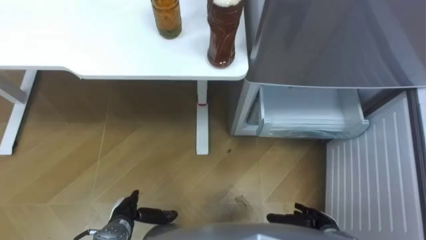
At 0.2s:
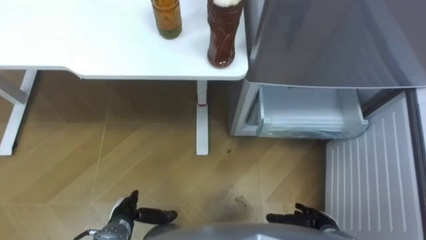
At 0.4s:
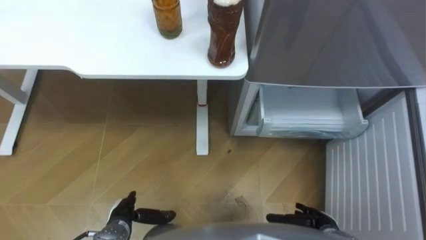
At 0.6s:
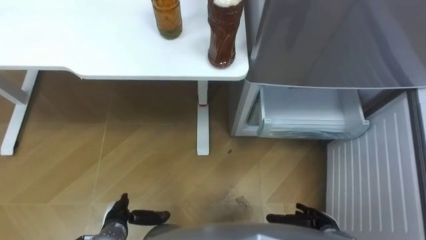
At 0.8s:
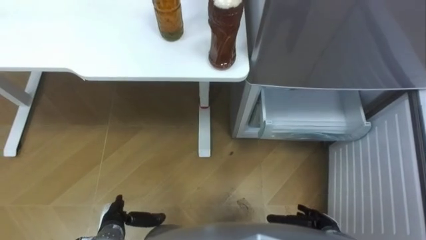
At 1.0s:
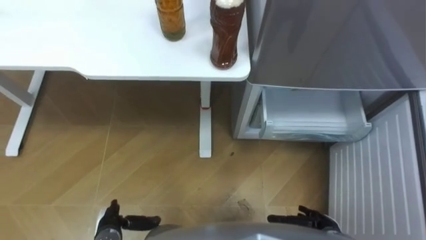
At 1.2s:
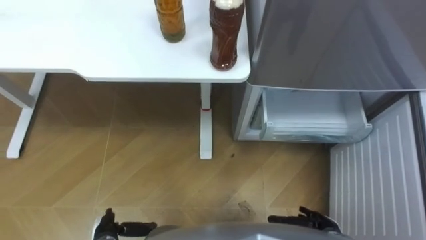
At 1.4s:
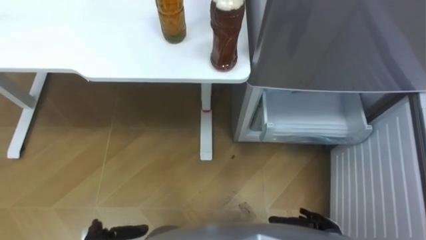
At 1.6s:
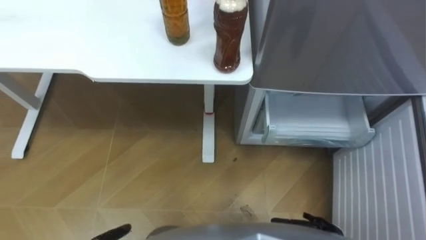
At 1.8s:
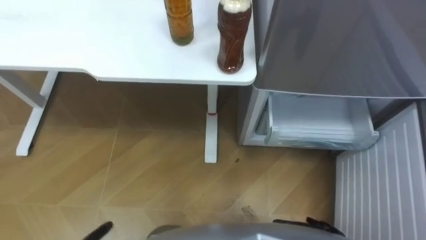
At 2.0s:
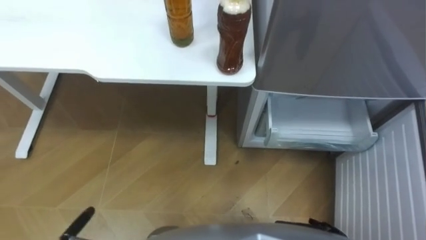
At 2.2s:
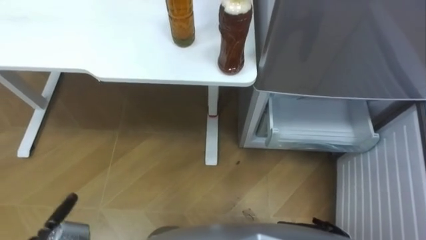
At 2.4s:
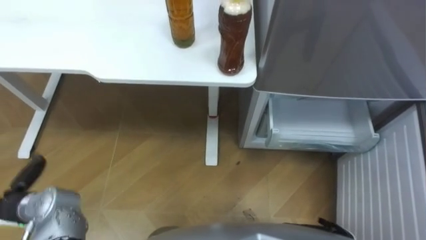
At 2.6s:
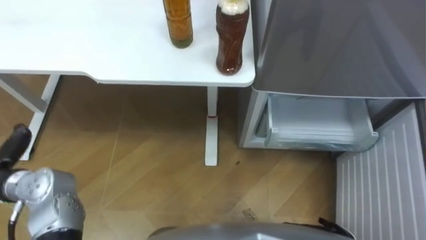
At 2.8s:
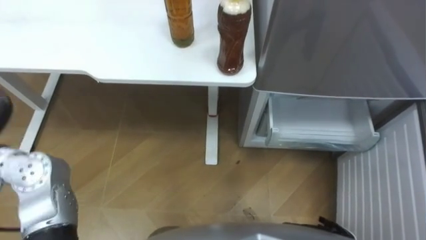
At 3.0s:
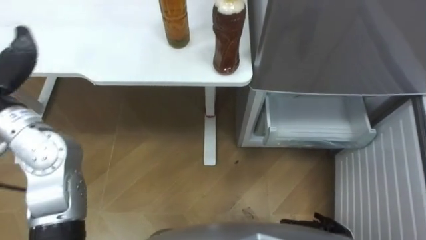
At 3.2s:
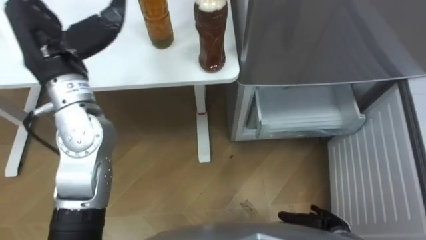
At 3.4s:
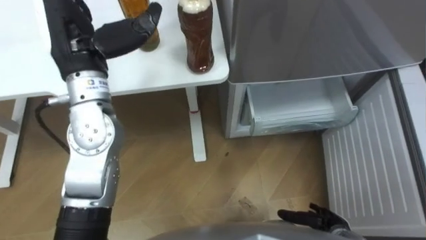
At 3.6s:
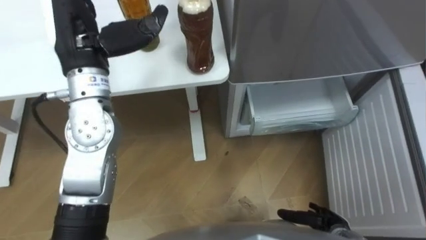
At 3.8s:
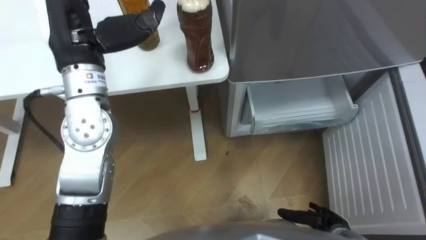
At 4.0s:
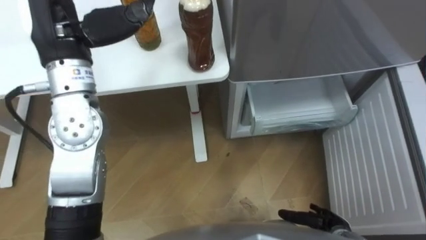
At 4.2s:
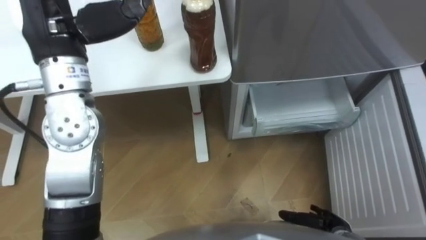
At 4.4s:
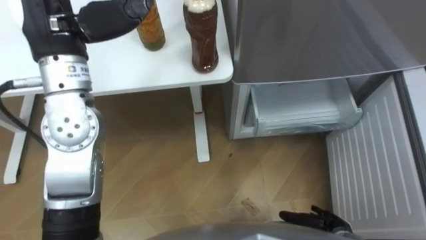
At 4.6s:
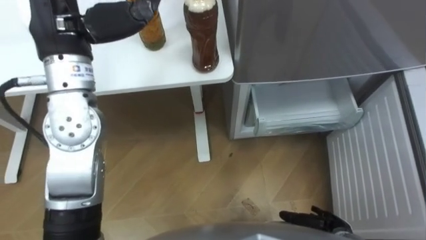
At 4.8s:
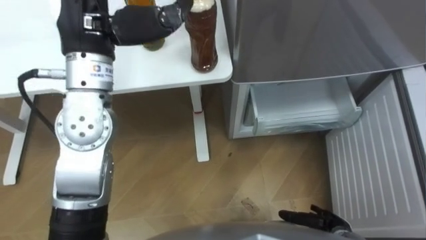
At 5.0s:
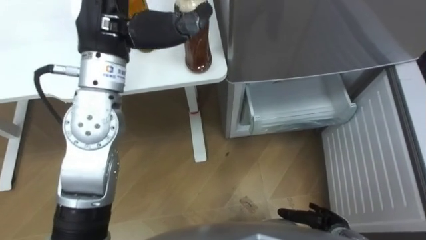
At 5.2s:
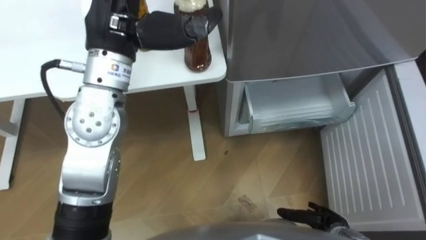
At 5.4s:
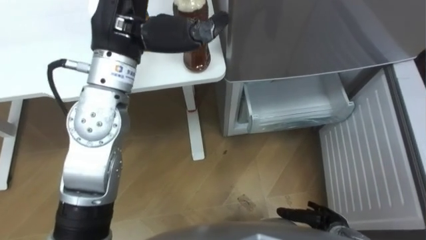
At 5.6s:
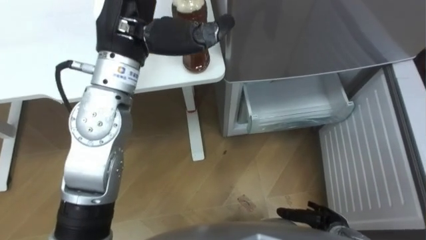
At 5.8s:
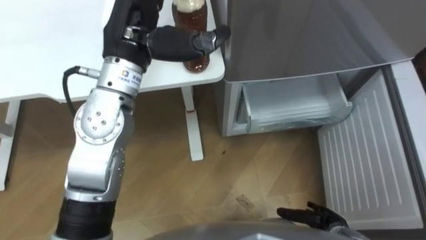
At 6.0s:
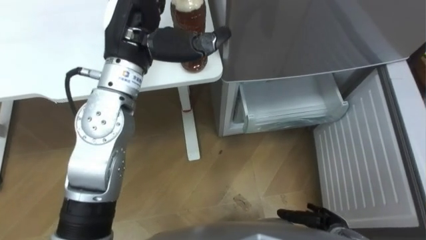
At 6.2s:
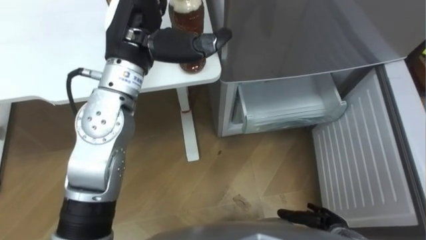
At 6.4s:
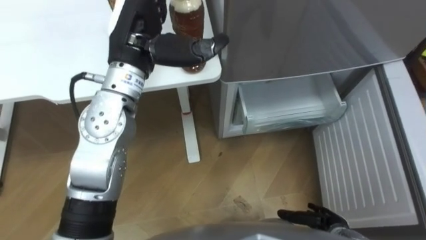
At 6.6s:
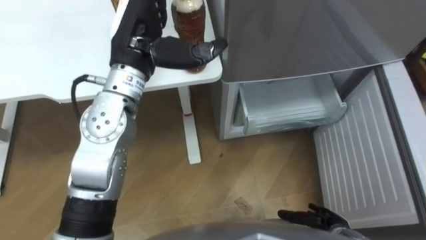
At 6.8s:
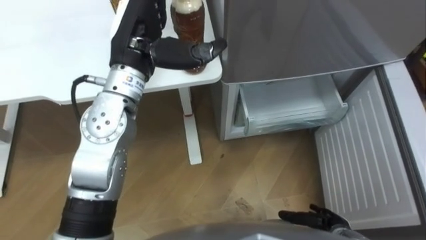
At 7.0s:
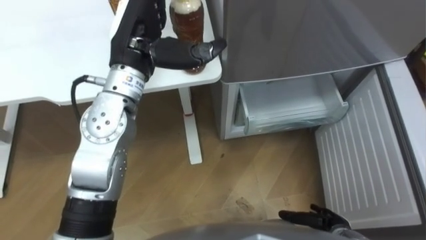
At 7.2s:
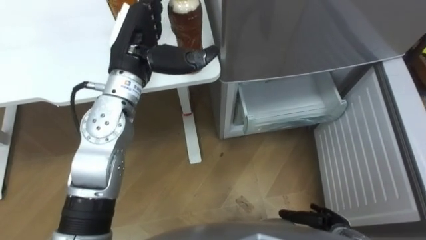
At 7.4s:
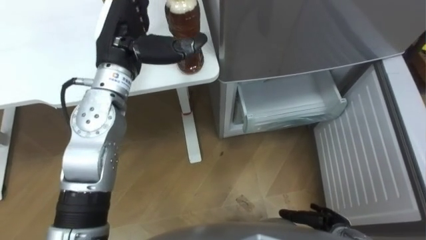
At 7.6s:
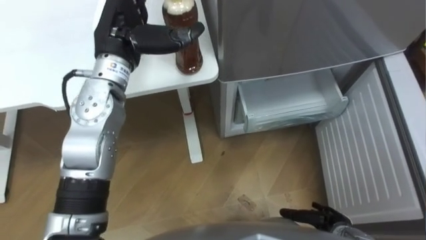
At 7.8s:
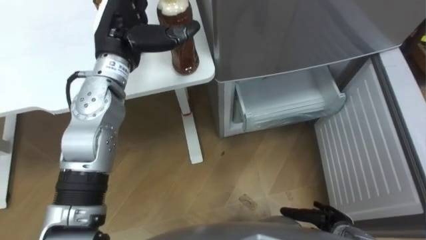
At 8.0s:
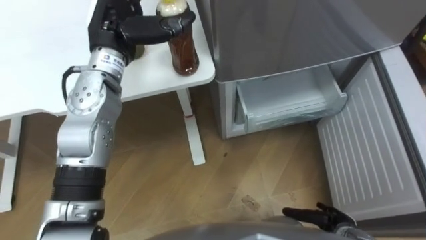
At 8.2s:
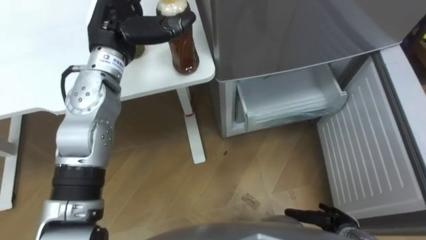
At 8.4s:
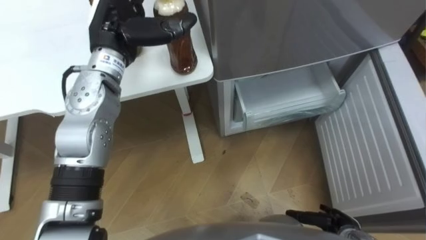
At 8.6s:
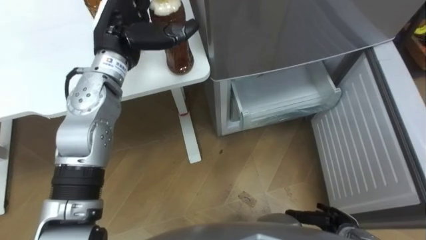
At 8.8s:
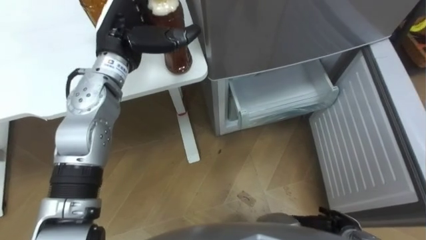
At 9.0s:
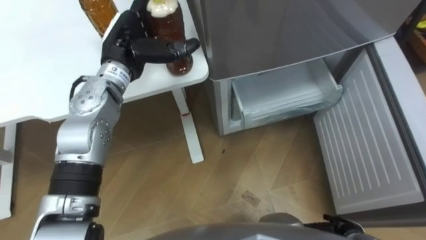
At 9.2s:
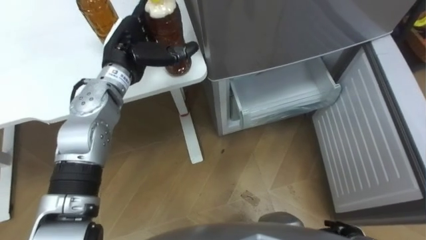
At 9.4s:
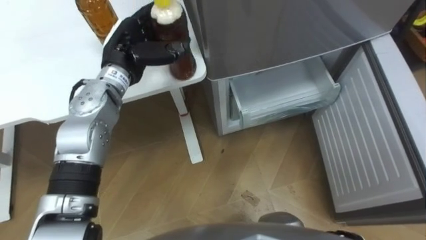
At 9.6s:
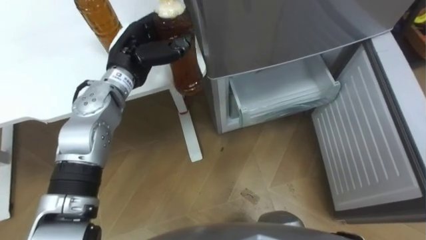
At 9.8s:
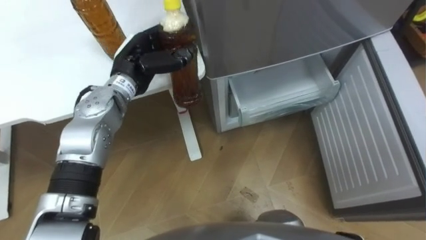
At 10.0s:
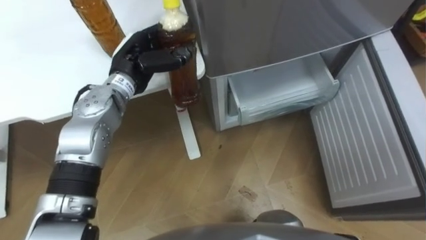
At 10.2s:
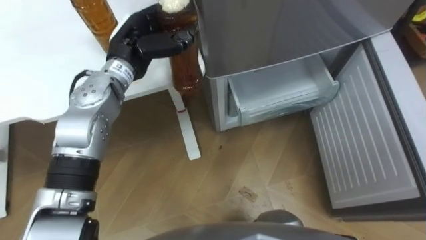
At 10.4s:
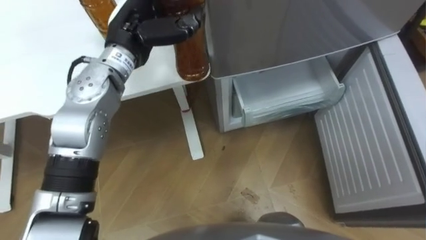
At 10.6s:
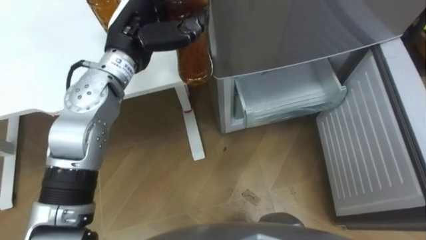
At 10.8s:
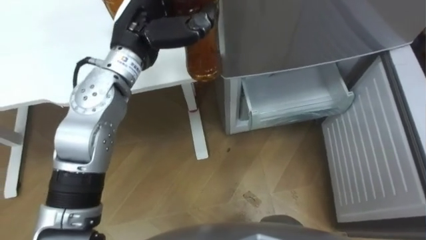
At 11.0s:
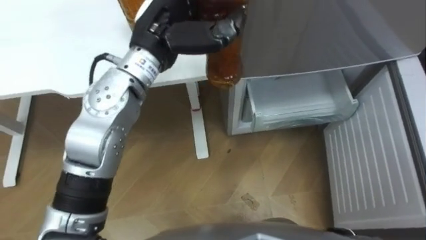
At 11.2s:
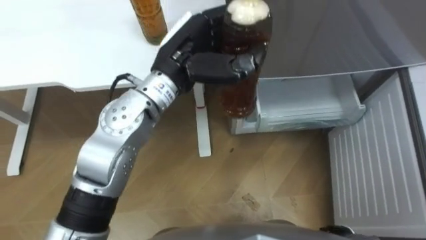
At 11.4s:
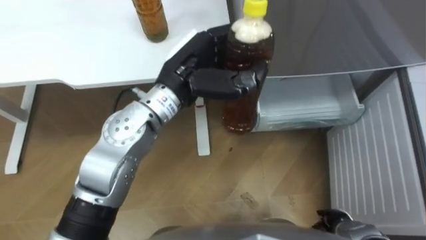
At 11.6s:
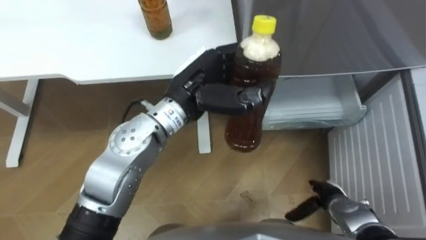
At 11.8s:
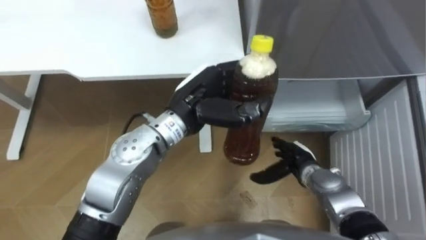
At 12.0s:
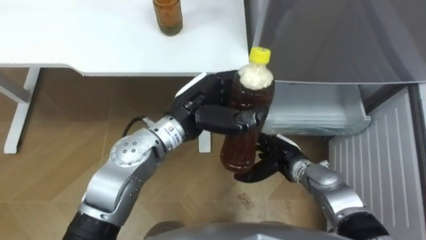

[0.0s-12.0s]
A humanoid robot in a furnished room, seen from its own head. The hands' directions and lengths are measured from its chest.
Task of the whole recording: Place the drink on the table on the bottom shelf of the refrigerator, then close the drawer and the refrigerator door.
4.4s to 6.0s: The left hand travels to the right by some 10 cm.
6.0s to 7.6s: The left hand shifts by approximately 5 cm.
7.6s to 9.0s: The left hand is displaced downward by some 5 cm.
9.0s to 10.4s: The left hand closes.
10.4s to 12.0s: The left hand shifts approximately 15 cm backward, to the right and downward.

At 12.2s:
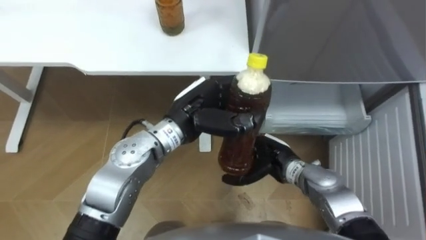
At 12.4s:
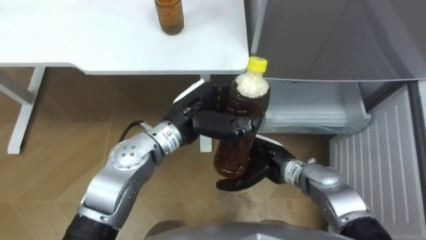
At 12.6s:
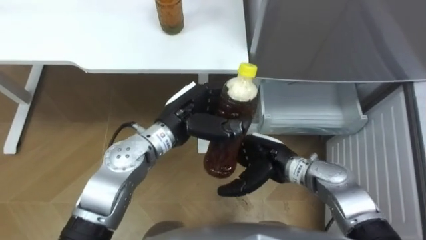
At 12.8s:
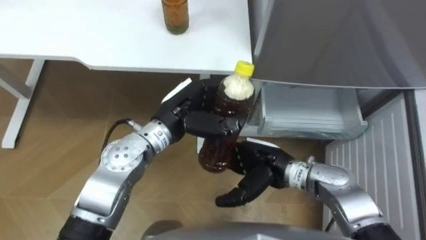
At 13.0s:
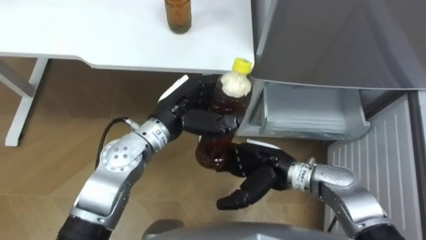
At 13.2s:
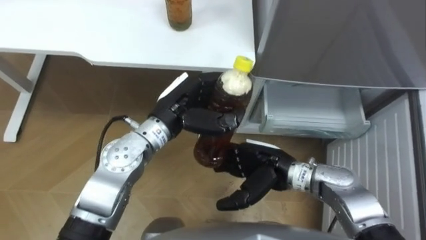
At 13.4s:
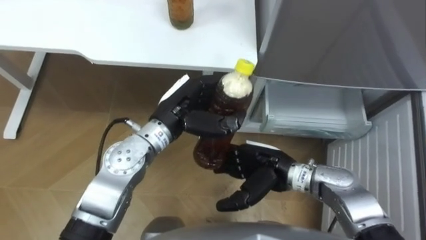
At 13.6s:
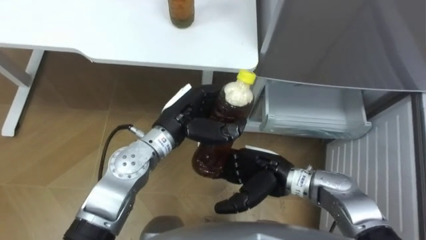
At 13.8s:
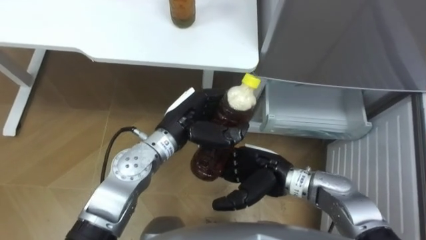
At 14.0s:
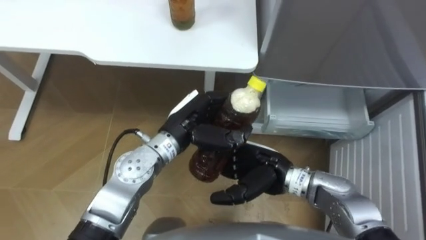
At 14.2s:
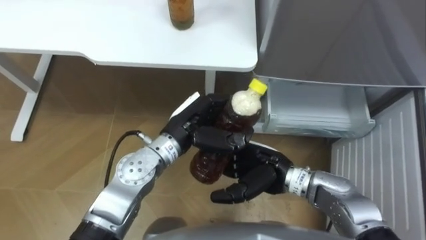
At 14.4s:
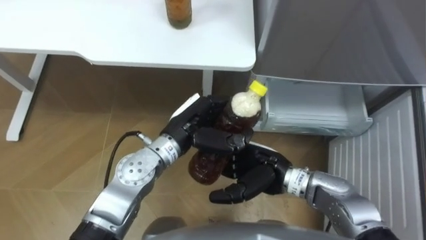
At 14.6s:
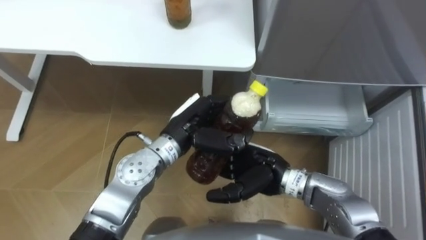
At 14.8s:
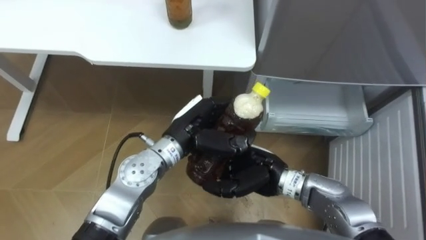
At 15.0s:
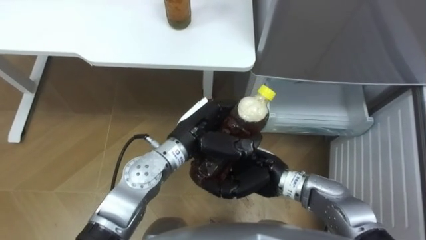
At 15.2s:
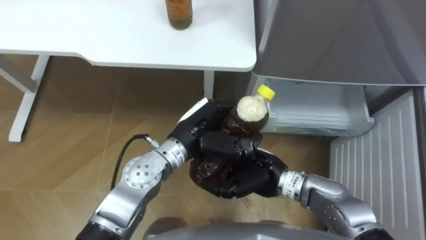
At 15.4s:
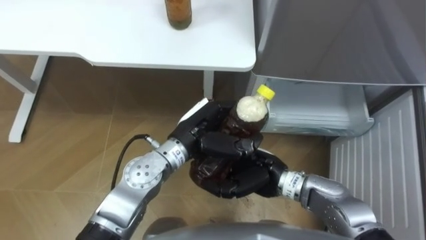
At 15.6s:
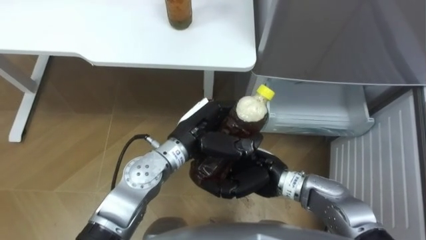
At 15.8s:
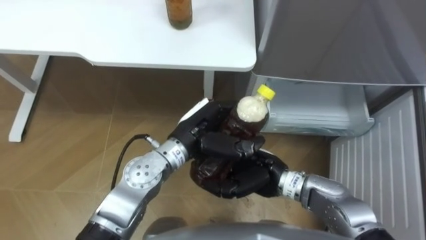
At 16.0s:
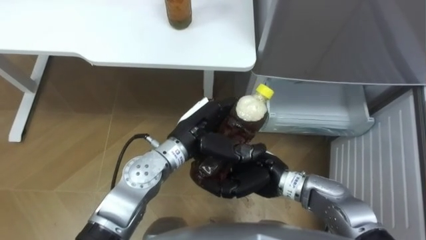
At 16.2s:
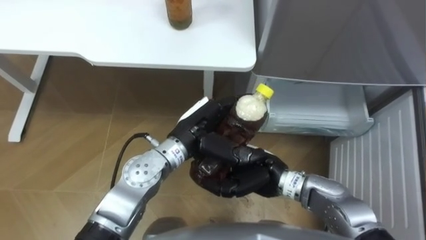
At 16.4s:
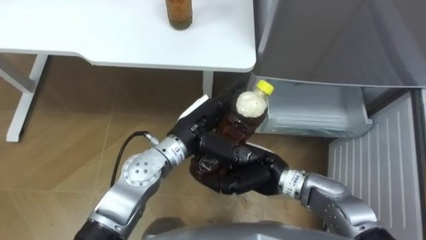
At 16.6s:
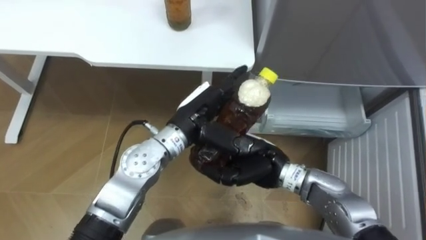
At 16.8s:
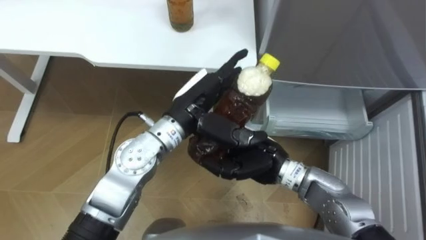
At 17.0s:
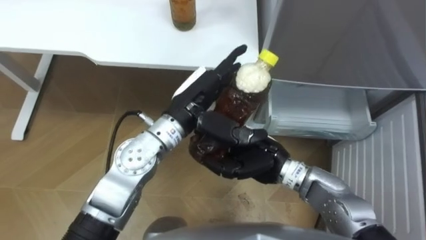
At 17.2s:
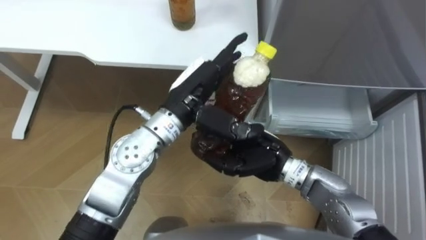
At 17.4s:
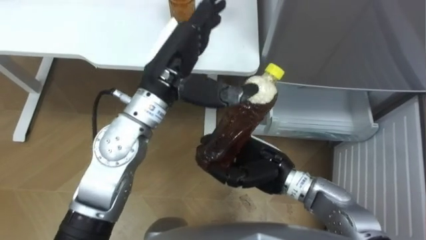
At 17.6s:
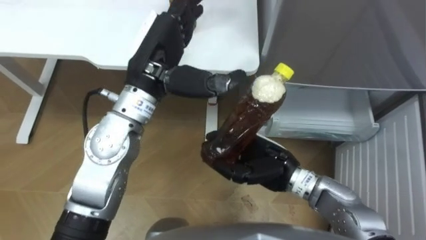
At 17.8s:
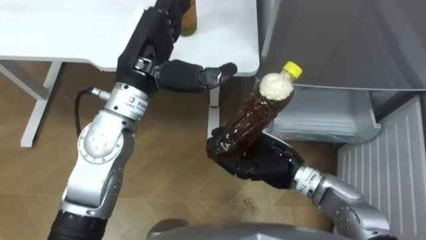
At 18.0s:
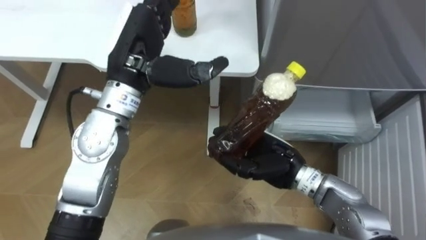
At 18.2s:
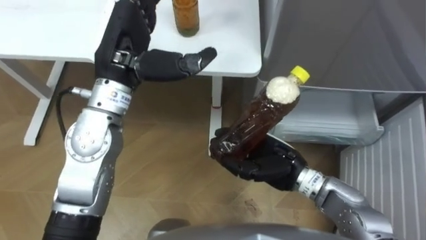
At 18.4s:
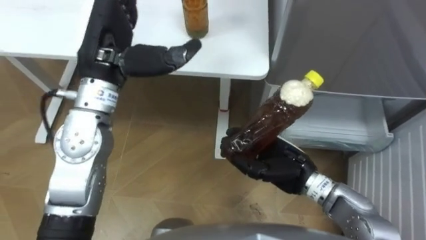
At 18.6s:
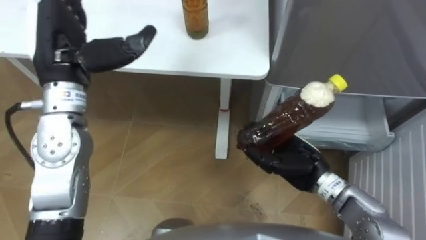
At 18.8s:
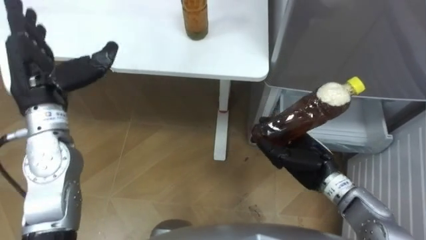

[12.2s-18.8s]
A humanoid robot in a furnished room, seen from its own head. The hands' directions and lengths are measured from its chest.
Task of the whole recording: Place the drink on the table on the bottom shelf of the refrigerator, then close the drawer and the refrigerator door.
12.2s to 13.8s: The right hand moves some 5 cm.
13.8s to 15.4s: The right hand closes up.
15.4s to 17.2s: The left hand heads upward, covering approximately 5 cm, and opens.
17.2s to 18.8s: The right hand shifts some 10 cm to the right, while the left hand shifts approximately 25 cm to the left.
